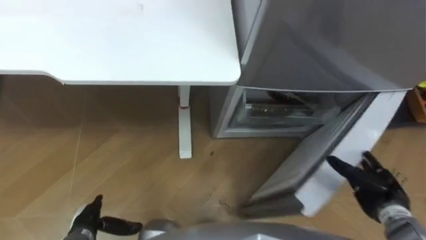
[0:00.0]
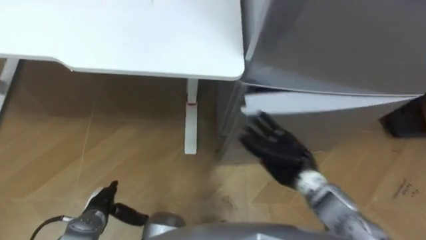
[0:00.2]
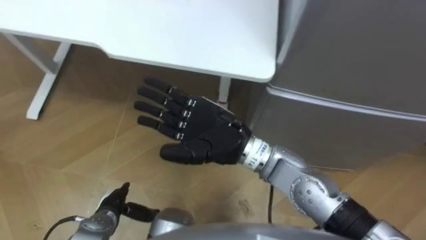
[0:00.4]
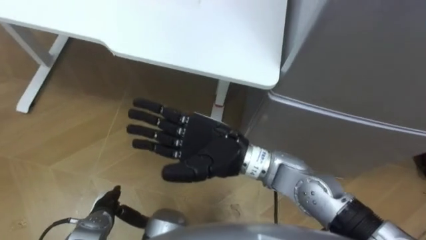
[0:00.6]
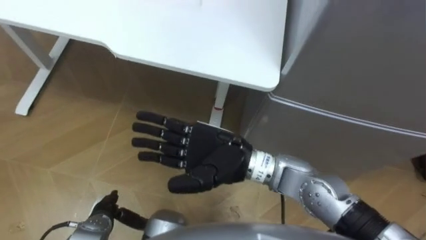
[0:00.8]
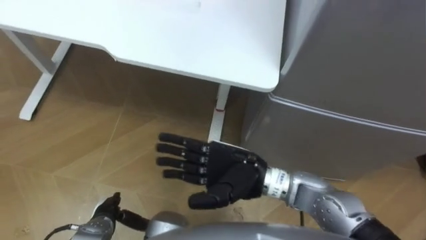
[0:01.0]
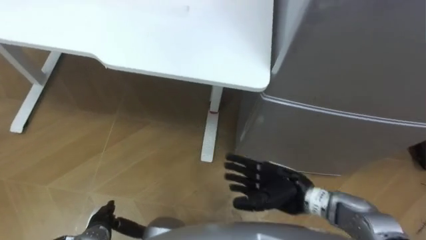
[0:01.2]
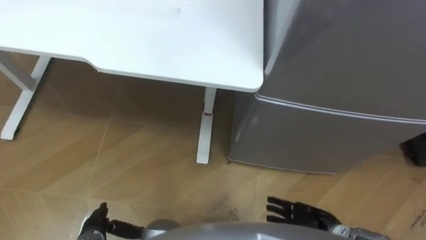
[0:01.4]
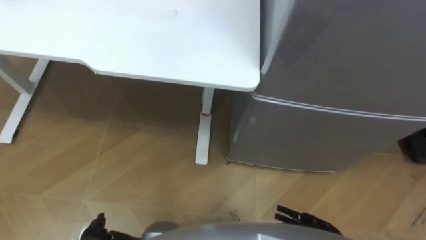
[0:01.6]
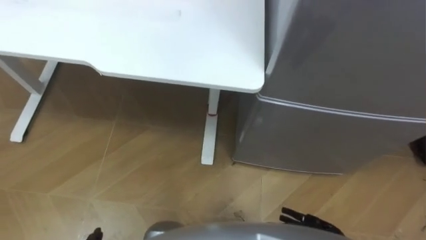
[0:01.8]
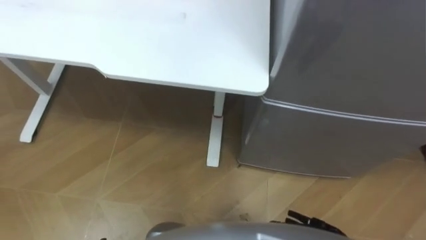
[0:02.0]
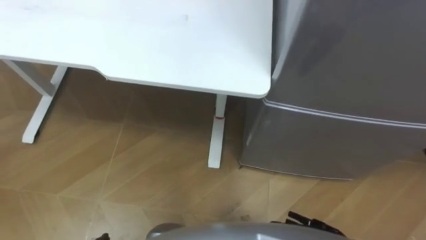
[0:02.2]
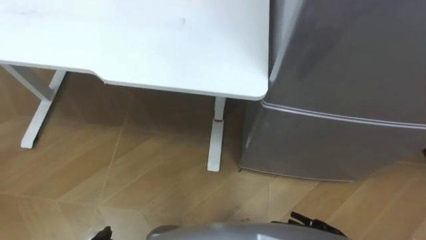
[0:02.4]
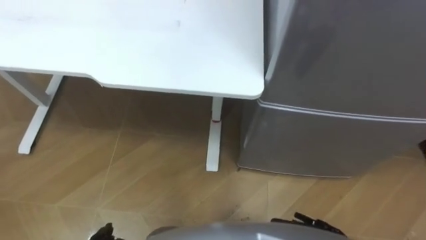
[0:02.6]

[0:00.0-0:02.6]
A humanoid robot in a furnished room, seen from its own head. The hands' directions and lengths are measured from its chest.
Task of the whole recording: Place the drink on the table on the bottom shelf of the refrigerator, then close the drawer and the refrigerator door.
0:00.0 to 0:01.2: The right hand shifts roughly 25 cm to the left.
